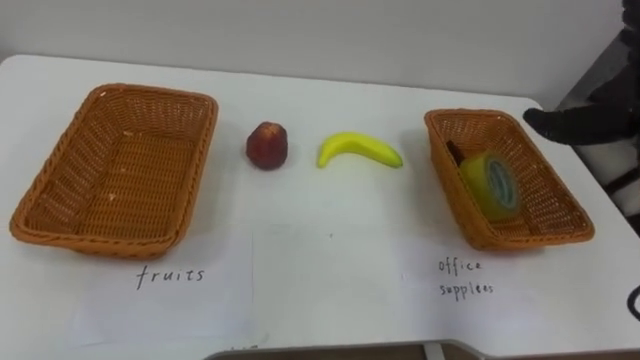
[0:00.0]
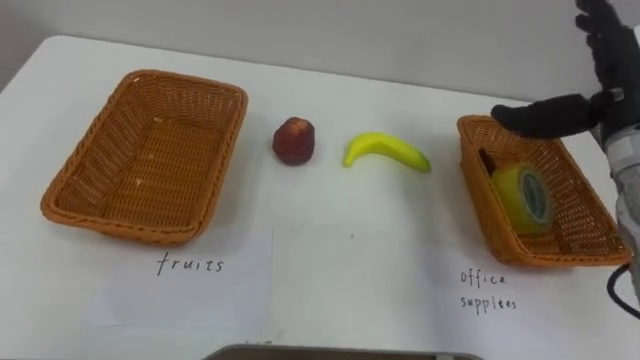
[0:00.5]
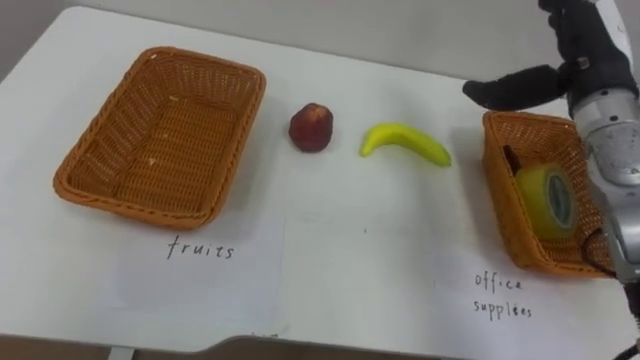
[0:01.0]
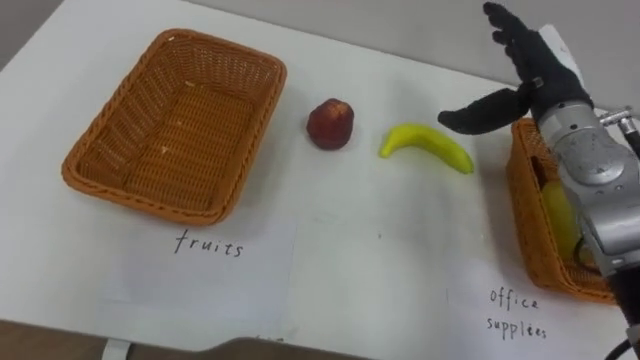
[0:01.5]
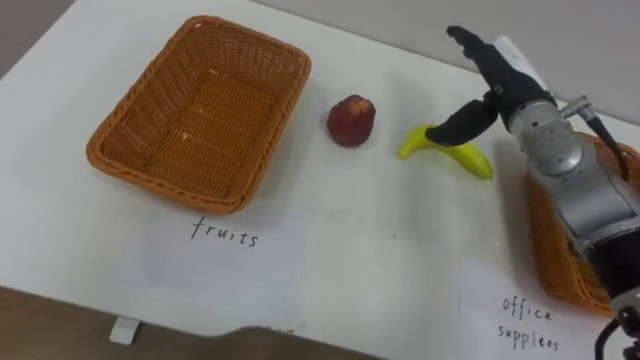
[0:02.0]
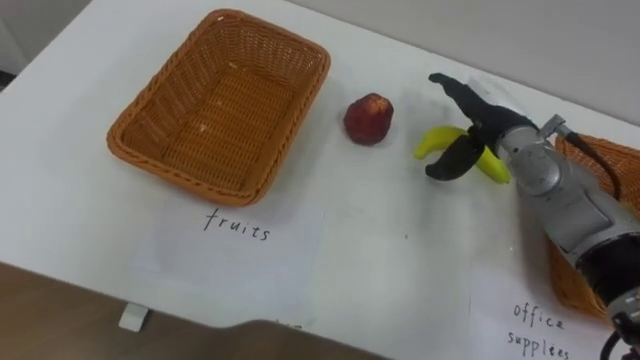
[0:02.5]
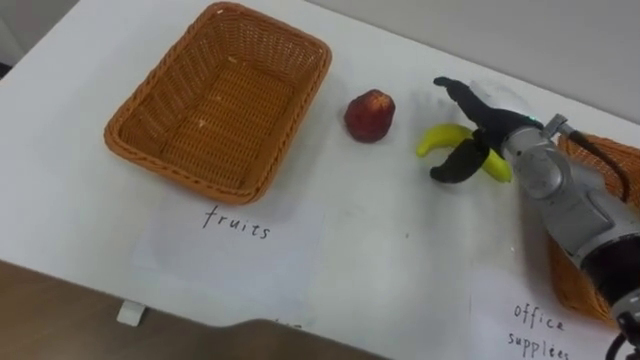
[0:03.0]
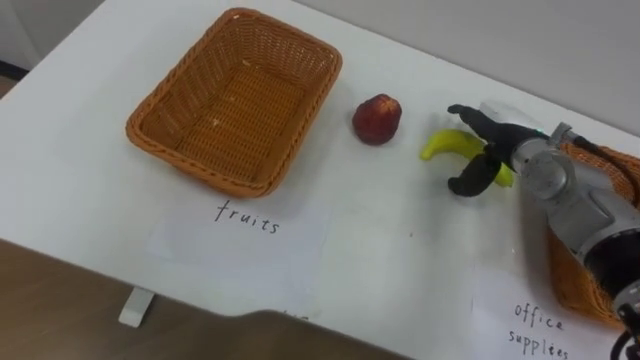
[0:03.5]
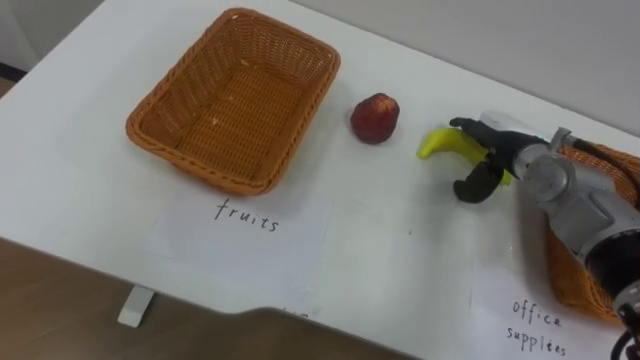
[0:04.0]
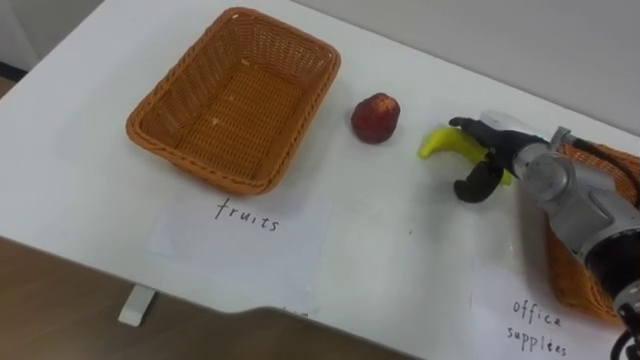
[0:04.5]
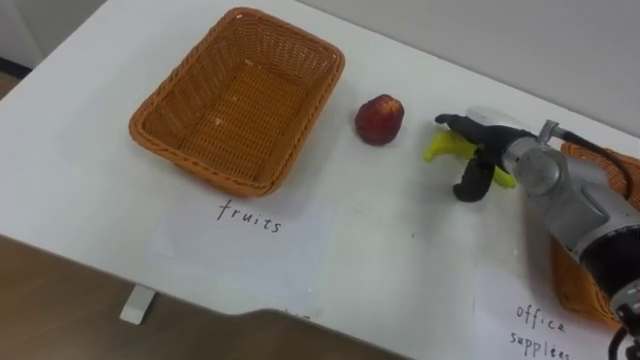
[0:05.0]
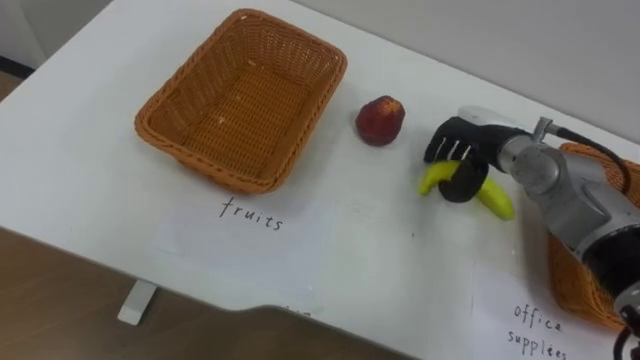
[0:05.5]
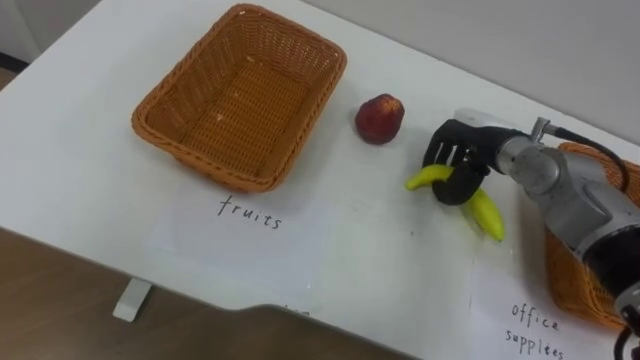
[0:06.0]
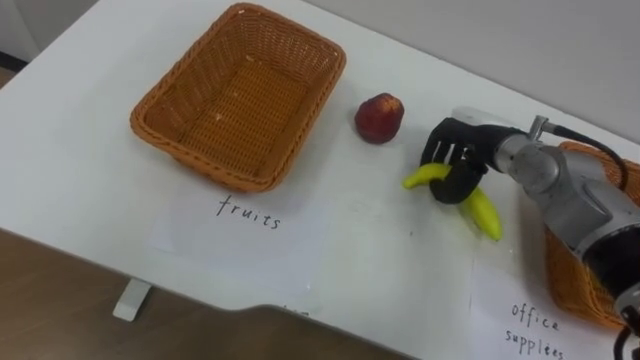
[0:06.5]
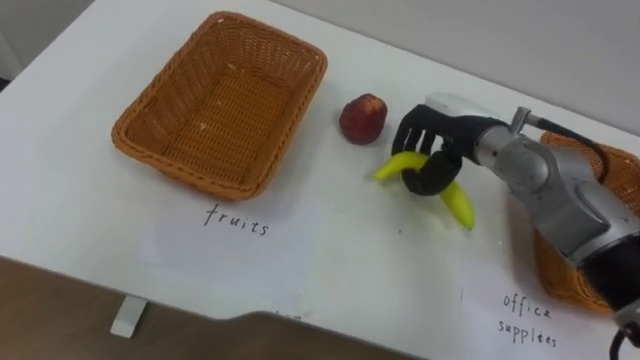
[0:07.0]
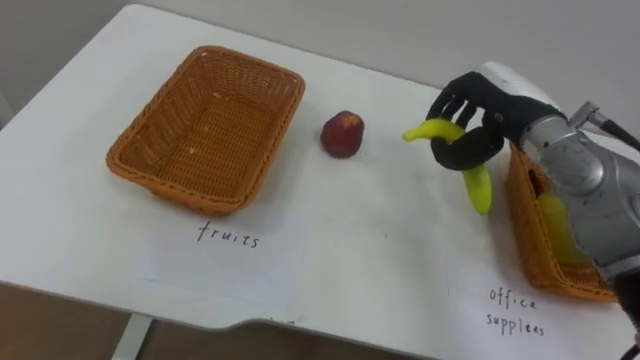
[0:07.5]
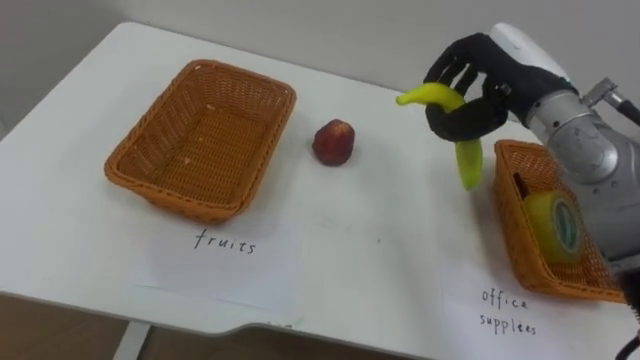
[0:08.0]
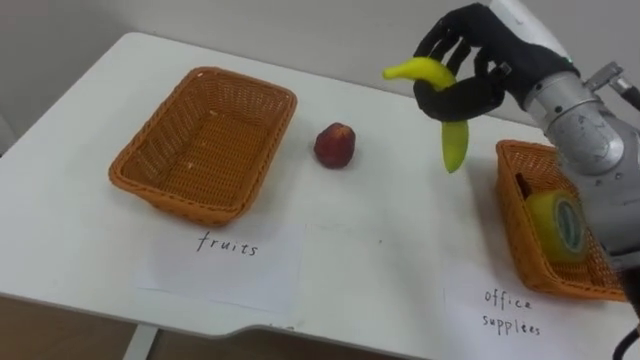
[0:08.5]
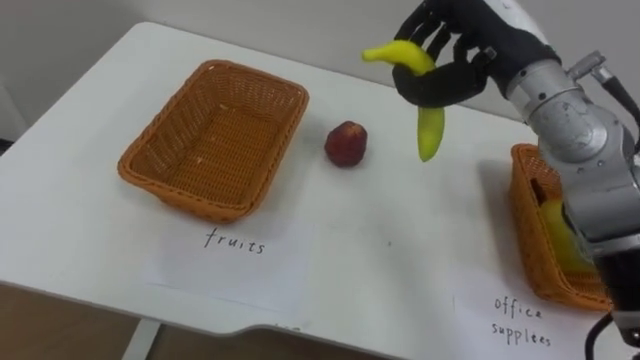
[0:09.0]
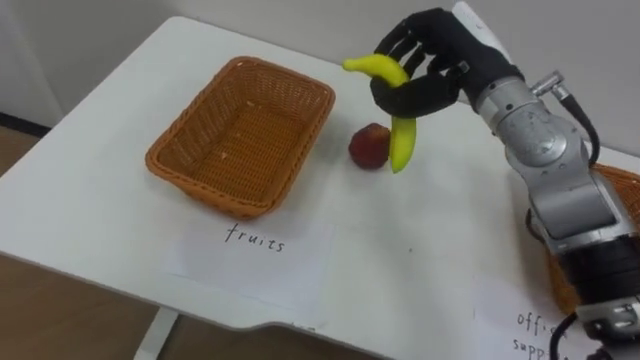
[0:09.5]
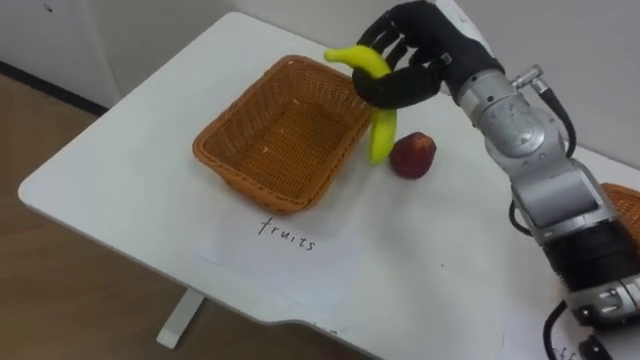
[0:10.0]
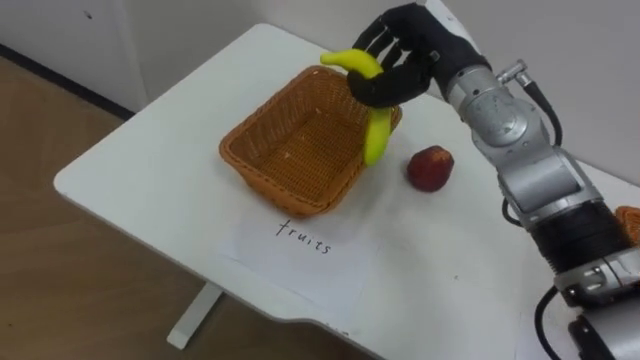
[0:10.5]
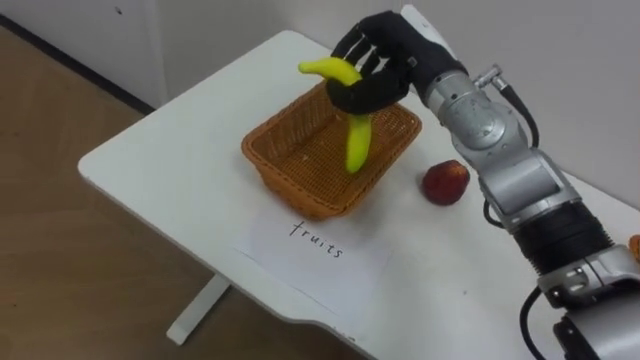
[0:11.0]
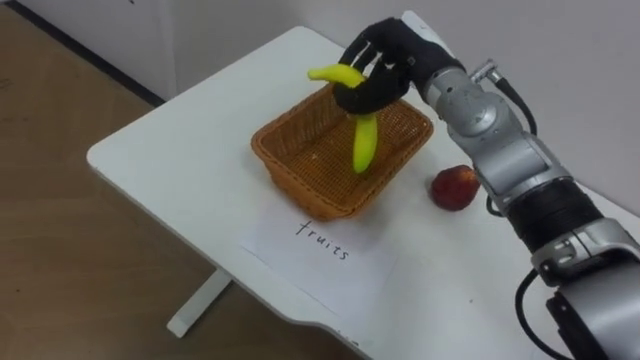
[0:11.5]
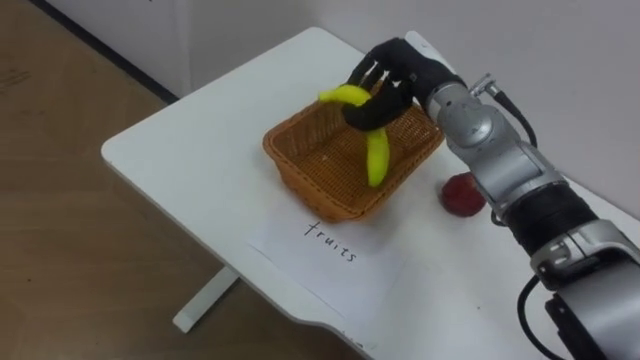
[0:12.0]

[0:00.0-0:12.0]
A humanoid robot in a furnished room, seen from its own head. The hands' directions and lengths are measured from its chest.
Task of the whole recording: Separate the items on the table and place them into the two baskets.
0:02.0 to 0:04.0: The right hand is displaced downward by about 10 cm.
0:04.0 to 0:06.0: The right hand closes.
0:06.0 to 0:08.0: The right hand shifts approximately 10 cm upward.
0:08.0 to 0:10.0: The right hand heads to the left, covering some 5 cm.
0:10.0 to 0:12.0: The right hand travels downward by roughly 5 cm.

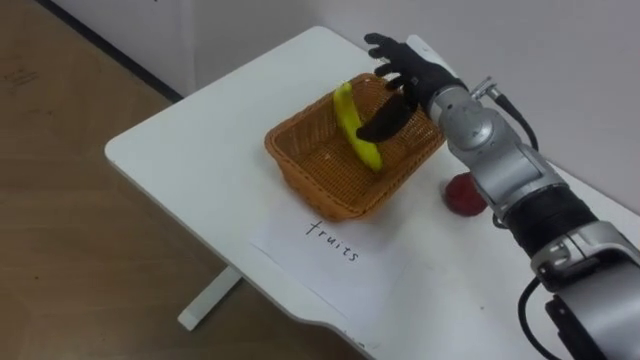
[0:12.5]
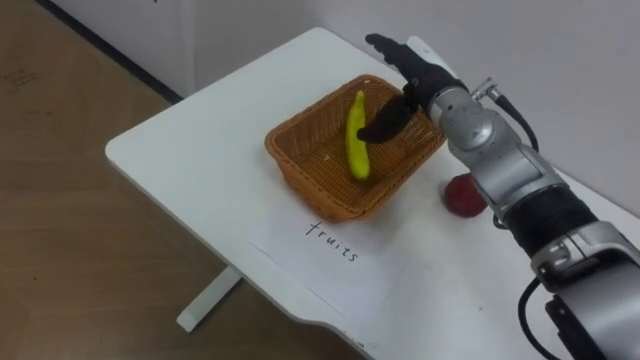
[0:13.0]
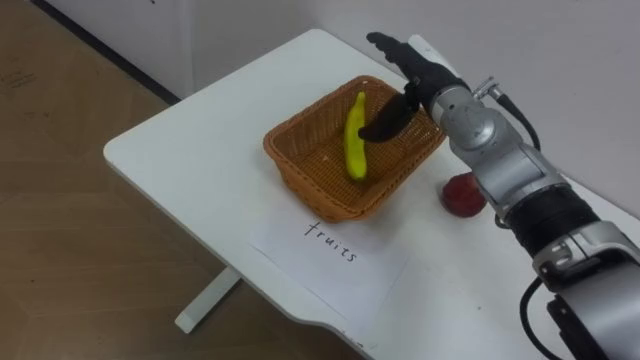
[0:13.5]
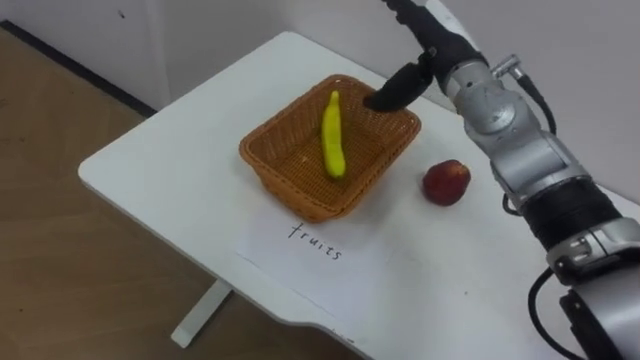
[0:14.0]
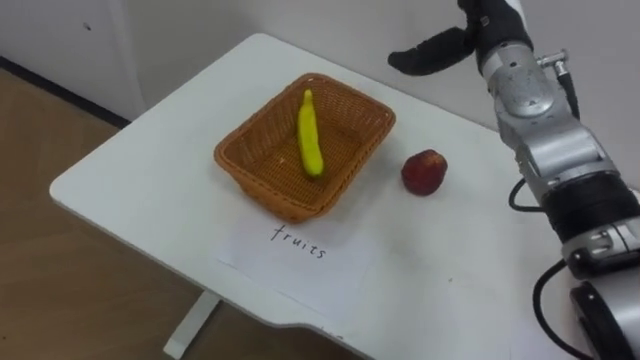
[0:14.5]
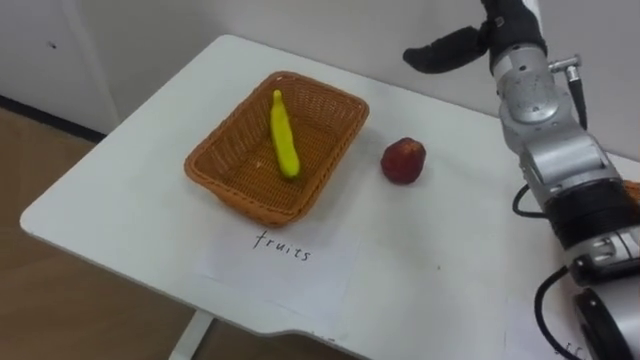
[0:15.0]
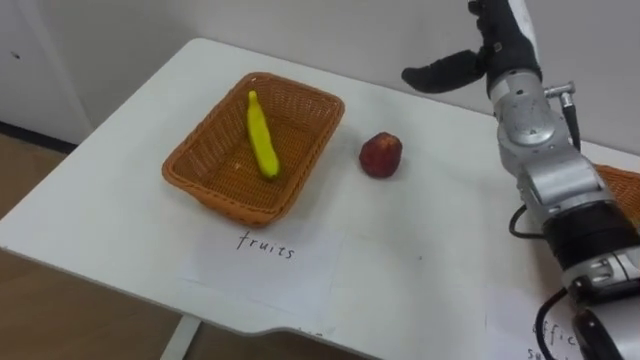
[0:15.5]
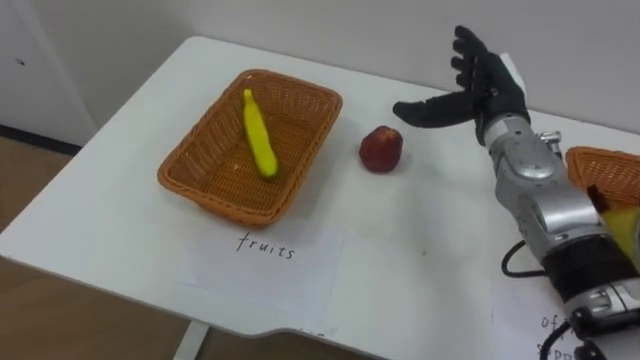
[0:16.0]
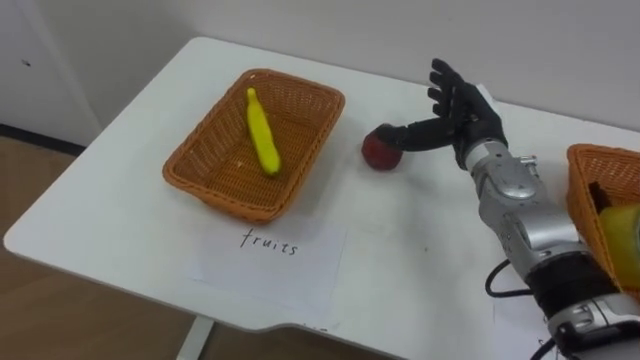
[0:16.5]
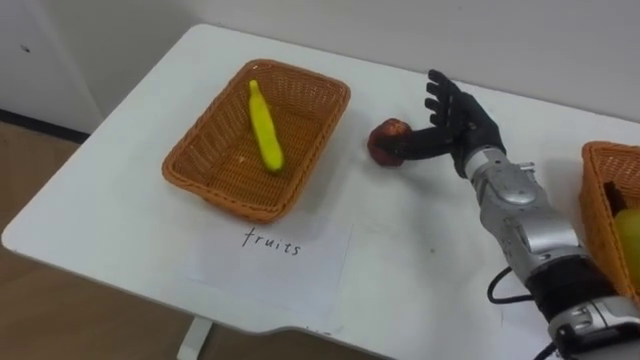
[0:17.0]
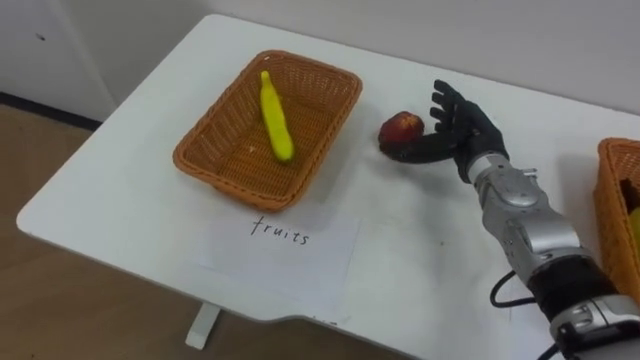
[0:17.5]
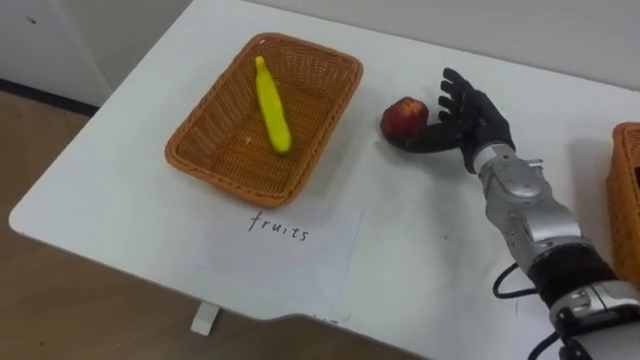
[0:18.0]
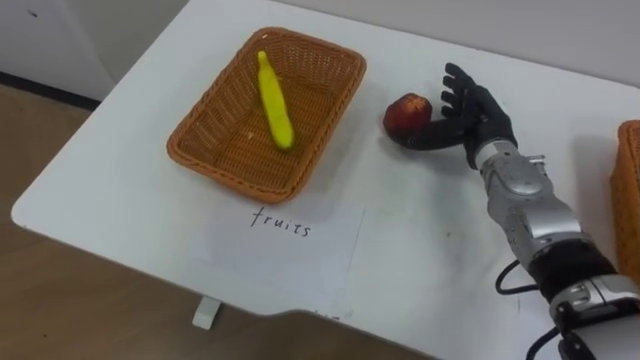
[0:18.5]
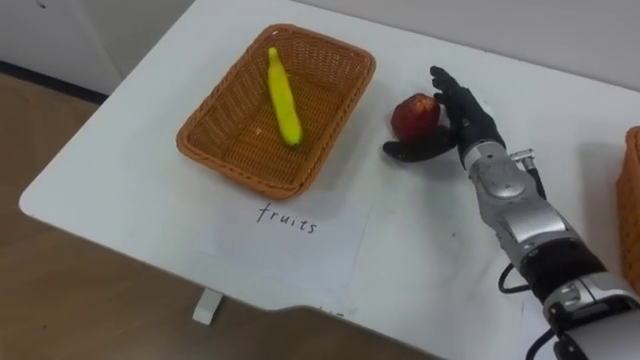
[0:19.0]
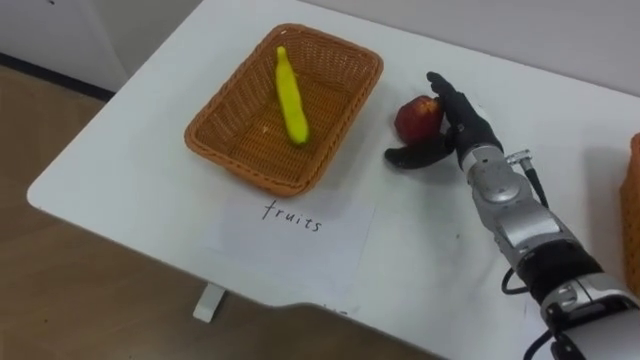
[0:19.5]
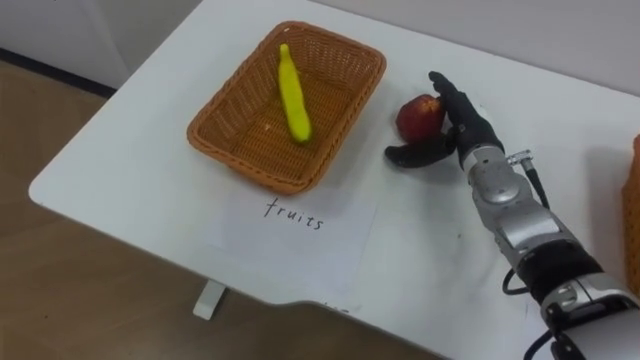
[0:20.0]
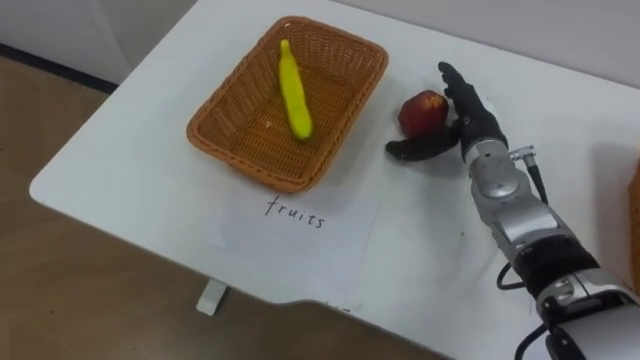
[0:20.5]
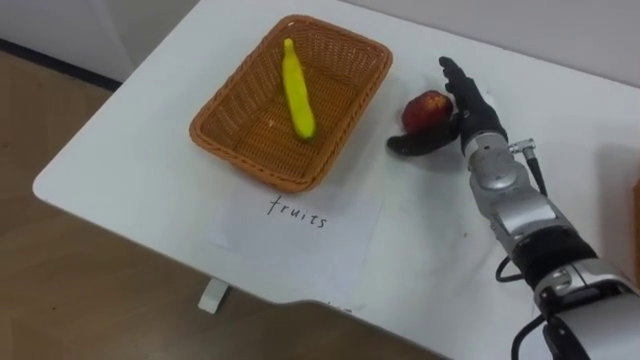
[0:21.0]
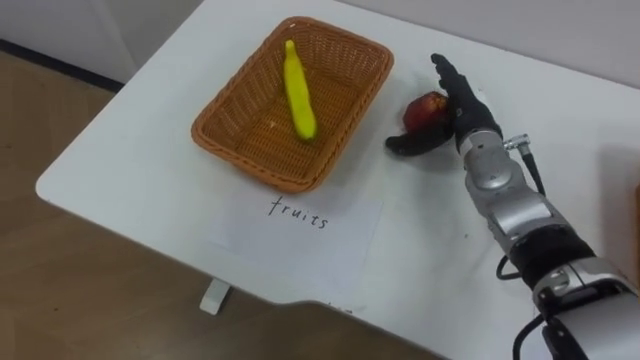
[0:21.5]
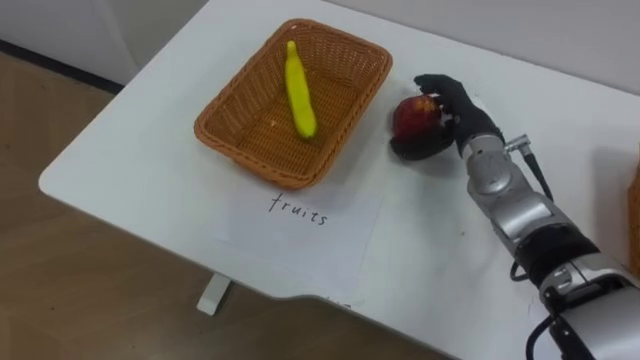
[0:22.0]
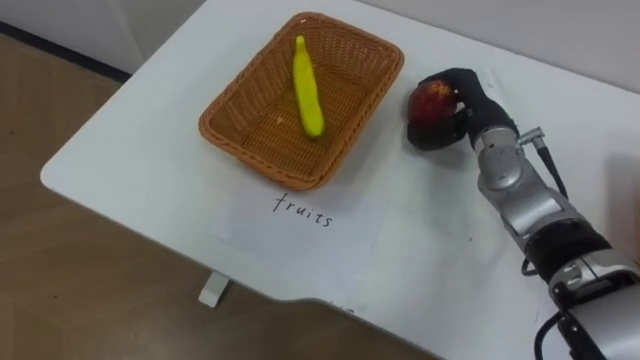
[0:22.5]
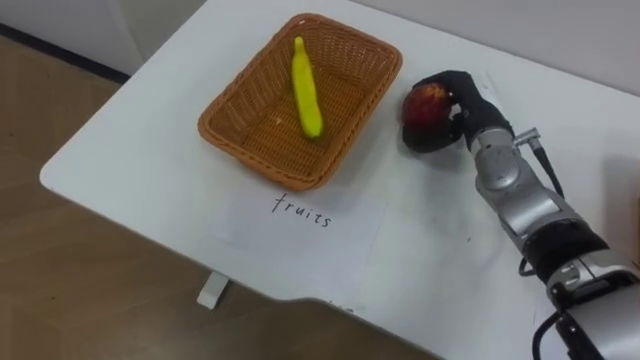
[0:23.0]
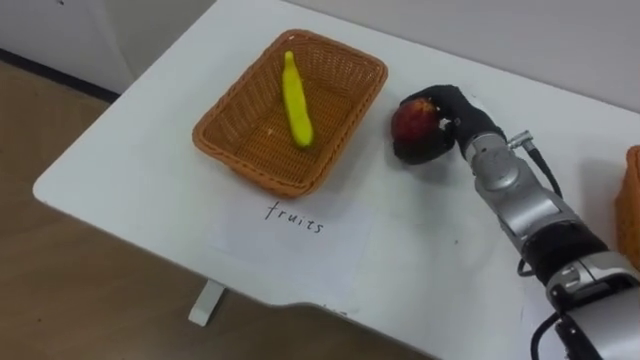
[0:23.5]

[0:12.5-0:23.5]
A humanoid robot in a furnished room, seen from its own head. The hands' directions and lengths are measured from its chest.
Task of the whole recording: Separate the items on the table and place them into the two baskets.
0:12.5 to 0:14.5: The right hand moves upward and to the right, some 10 cm.
0:14.5 to 0:16.0: The right hand moves downward, about 10 cm.
0:16.0 to 0:18.0: The right hand shifts some 5 cm downward.
0:21.5 to 0:23.5: The right hand closes its fingers.
